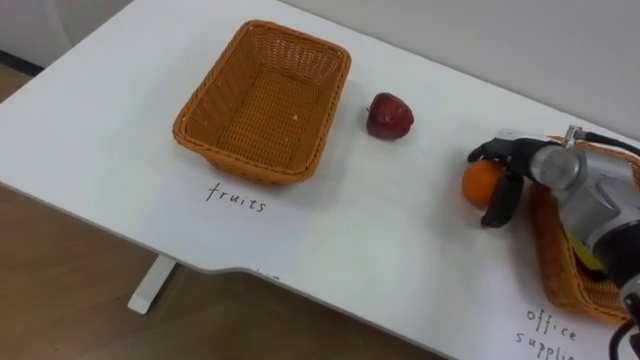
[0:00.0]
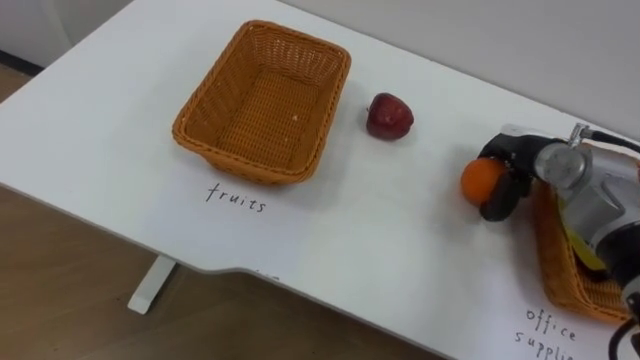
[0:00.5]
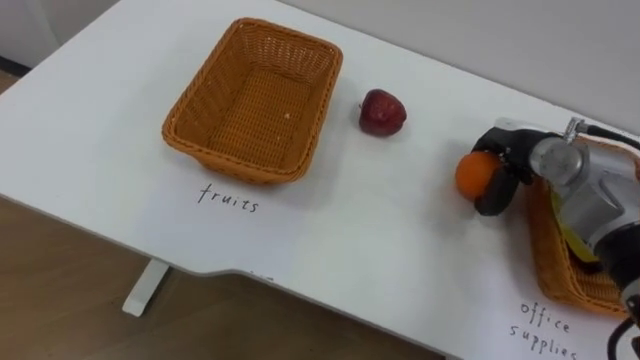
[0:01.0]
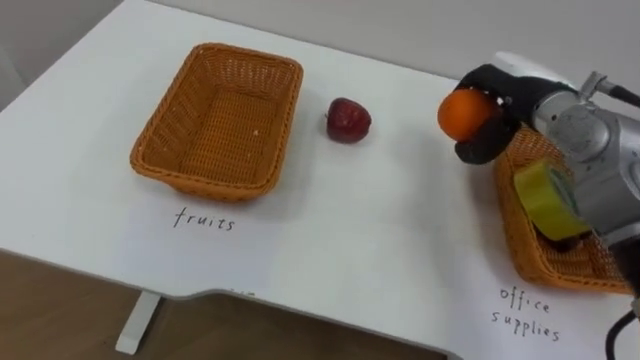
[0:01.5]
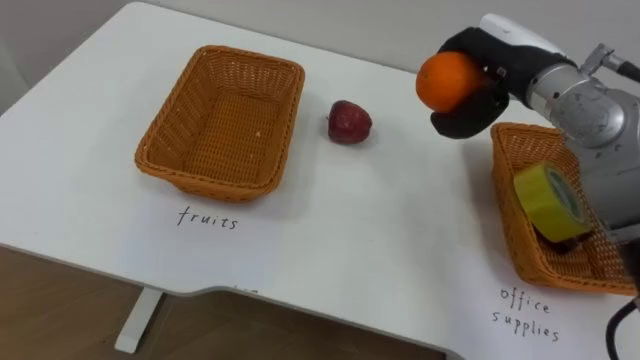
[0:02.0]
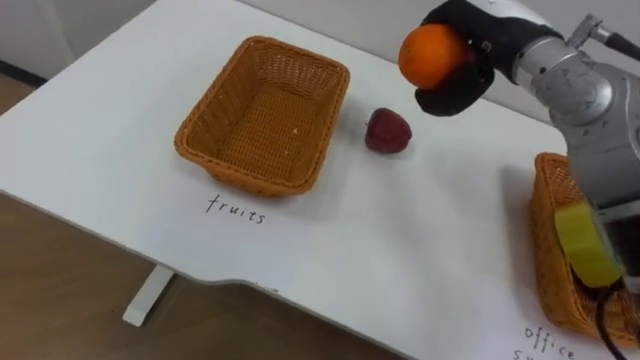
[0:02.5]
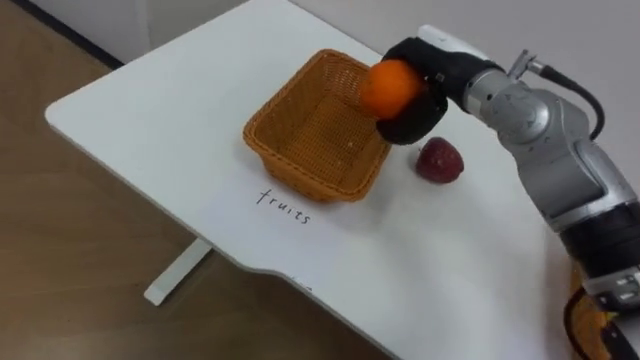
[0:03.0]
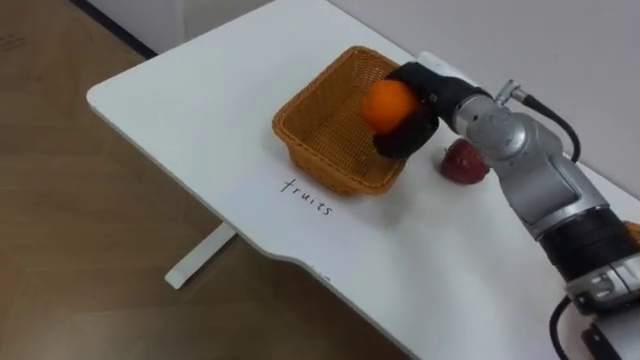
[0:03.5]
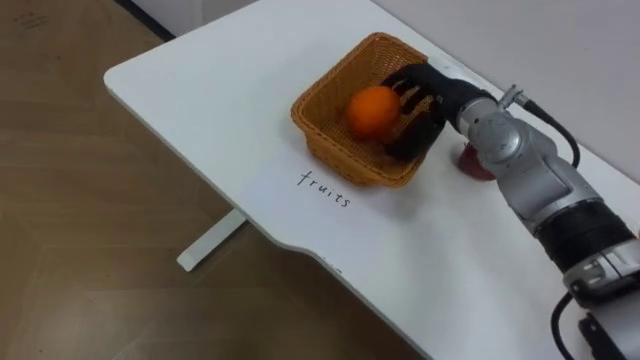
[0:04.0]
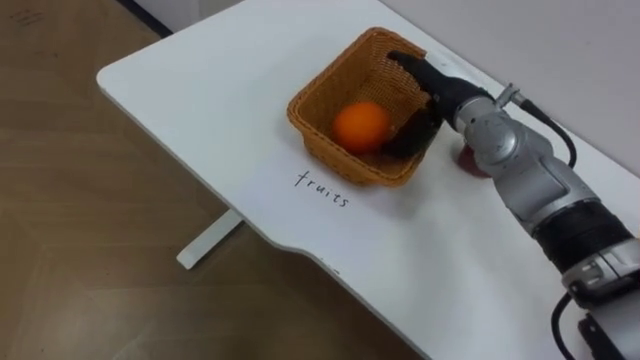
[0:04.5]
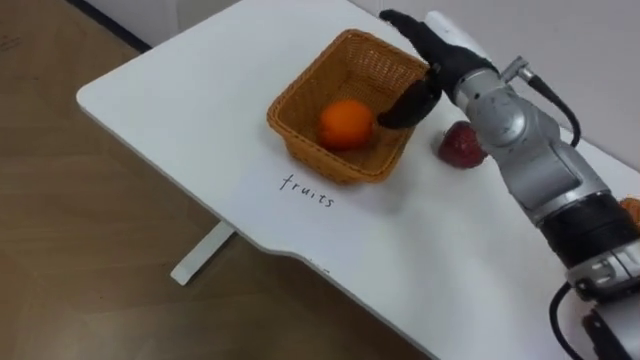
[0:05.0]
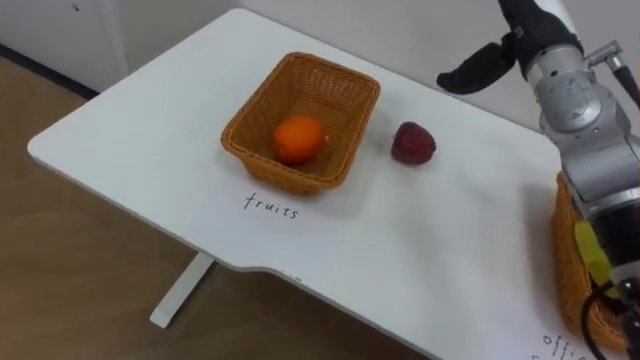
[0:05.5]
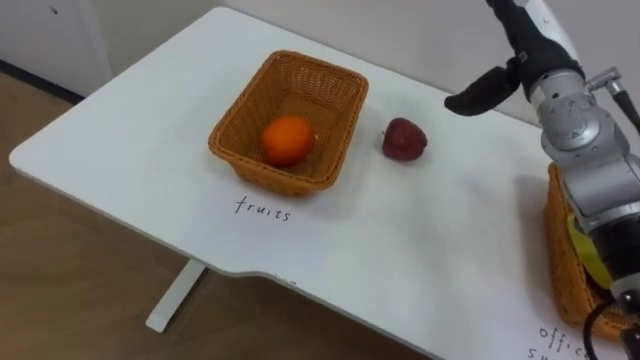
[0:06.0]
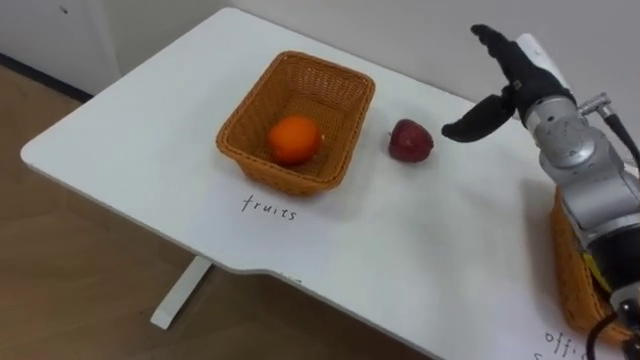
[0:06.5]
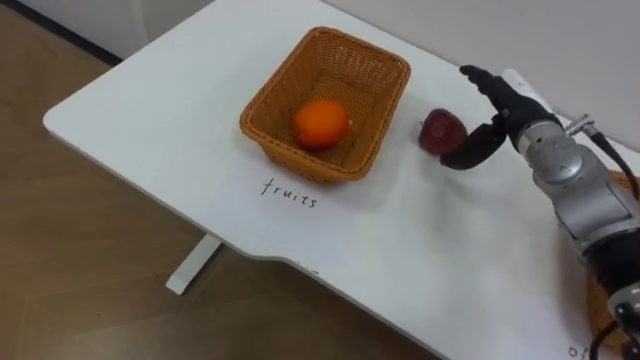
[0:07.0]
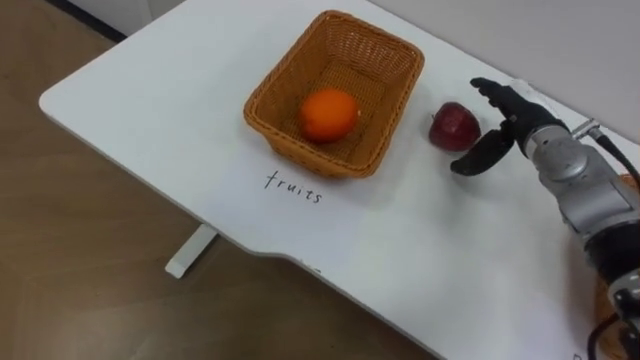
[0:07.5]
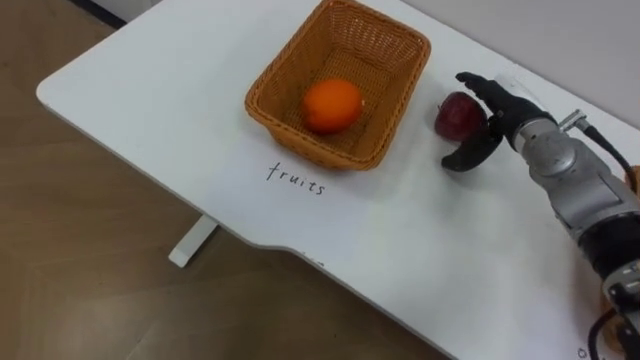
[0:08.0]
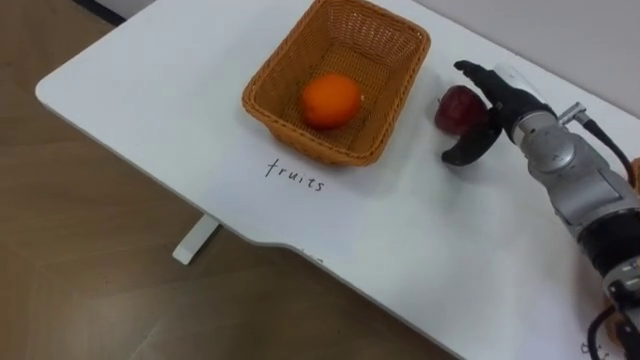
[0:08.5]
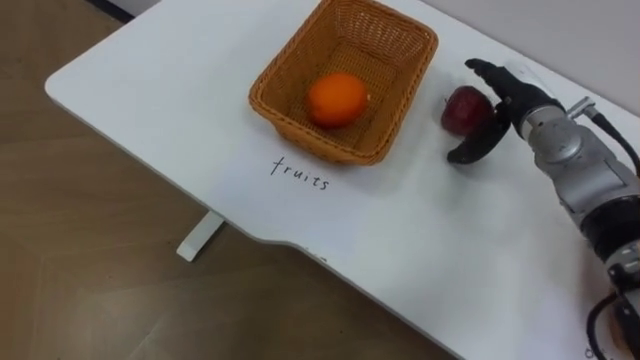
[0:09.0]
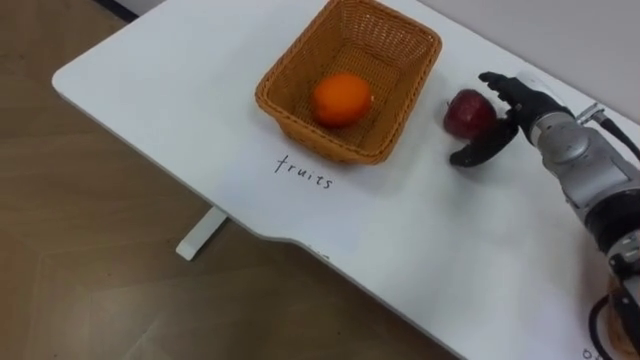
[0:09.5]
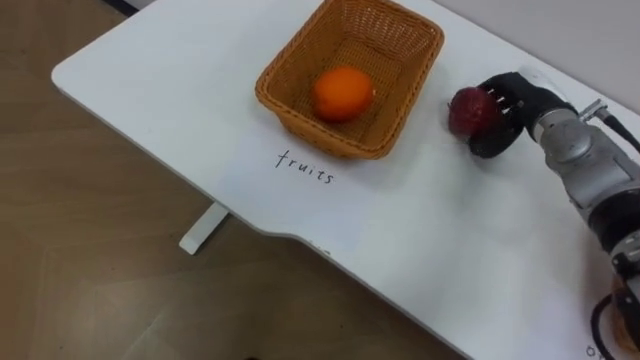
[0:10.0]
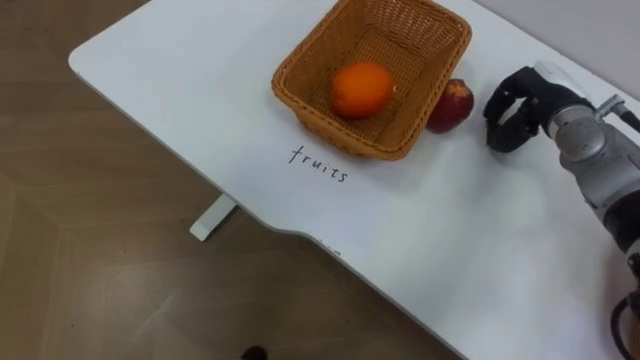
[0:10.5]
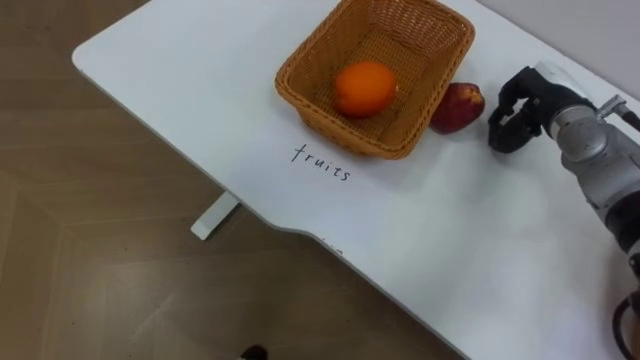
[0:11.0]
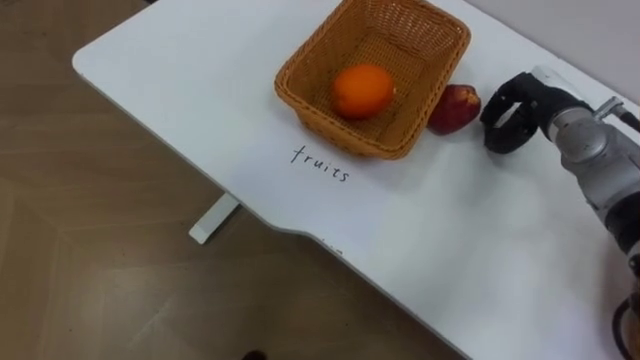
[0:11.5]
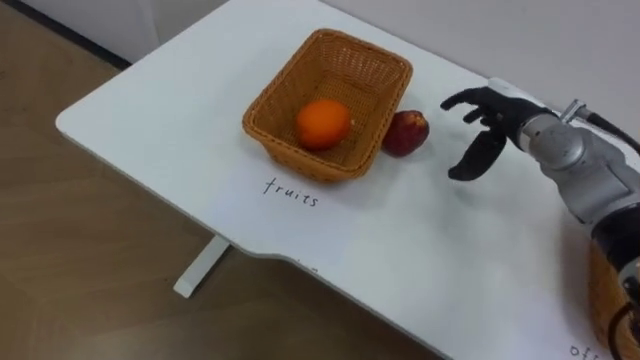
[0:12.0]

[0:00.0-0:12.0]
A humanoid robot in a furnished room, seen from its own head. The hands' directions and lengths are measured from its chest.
Task of the whole recording: Separate the items on the table and place them into the two baskets.
0:00.0 to 0:02.0: The right hand travels upward and to the left by roughly 15 cm, and closes.
0:02.0 to 0:04.0: The right hand travels downward by about 5 cm.
0:04.0 to 0:06.0: The right hand is displaced to the right and upward by approximately 10 cm, and opens its fingers.
0:06.0 to 0:08.0: The right hand is displaced downward by about 10 cm.
0:08.0 to 0:10.0: The right hand closes up.
0:10.0 to 0:12.0: The right hand closes, then opens again.

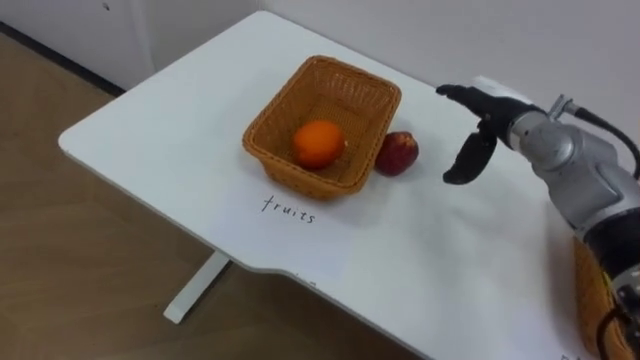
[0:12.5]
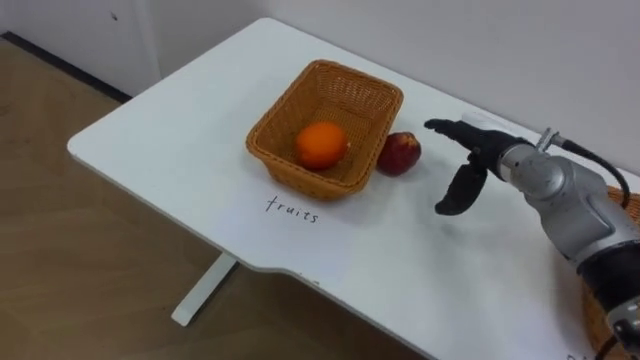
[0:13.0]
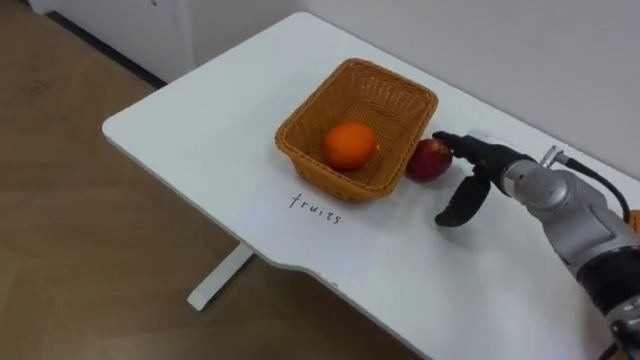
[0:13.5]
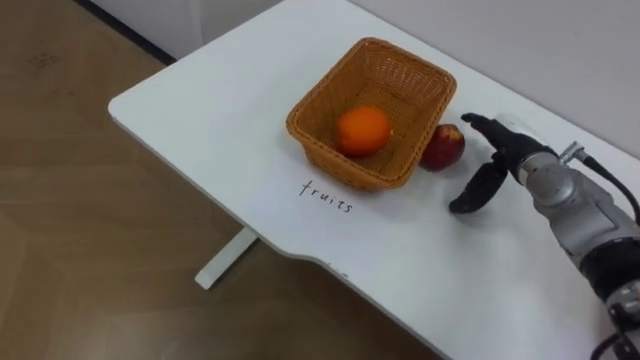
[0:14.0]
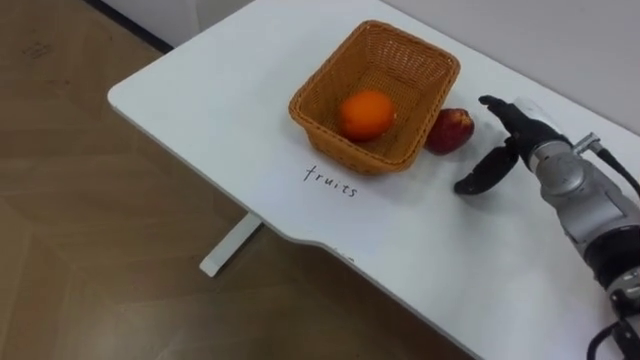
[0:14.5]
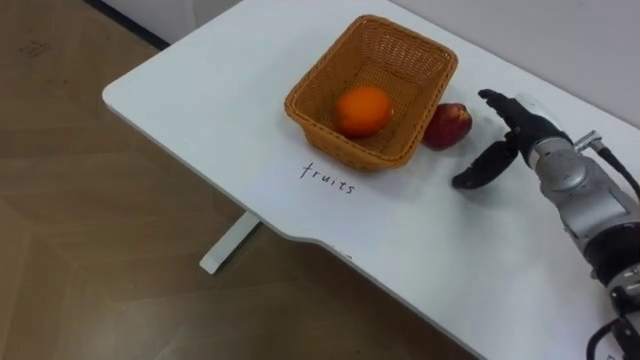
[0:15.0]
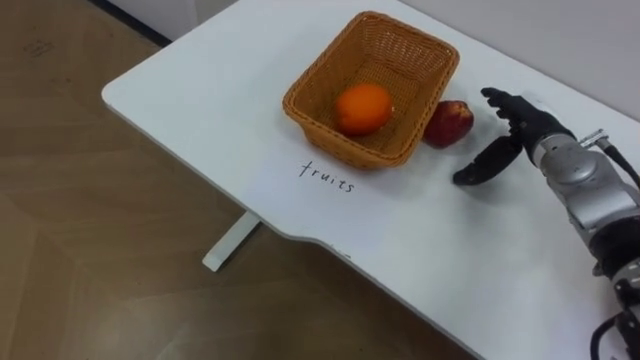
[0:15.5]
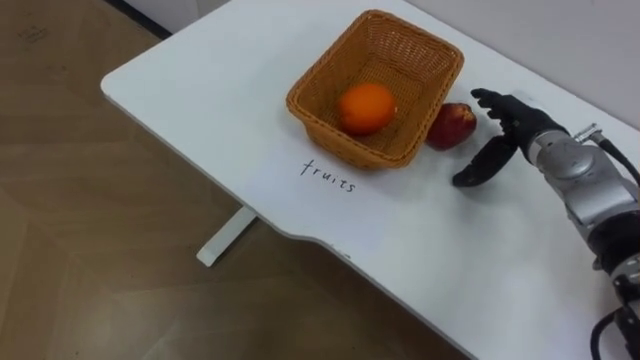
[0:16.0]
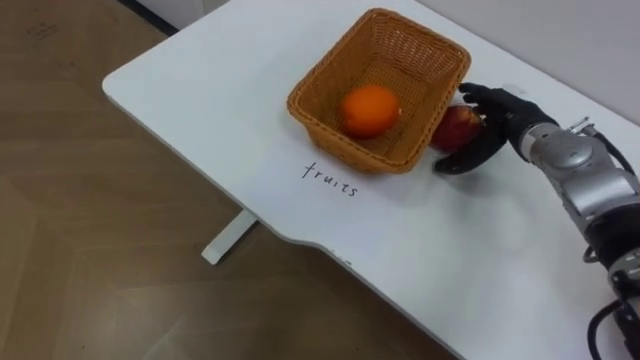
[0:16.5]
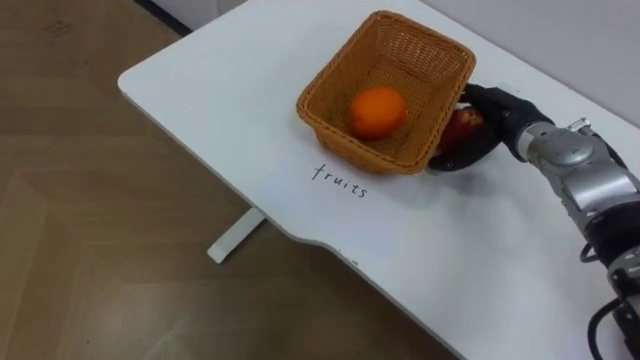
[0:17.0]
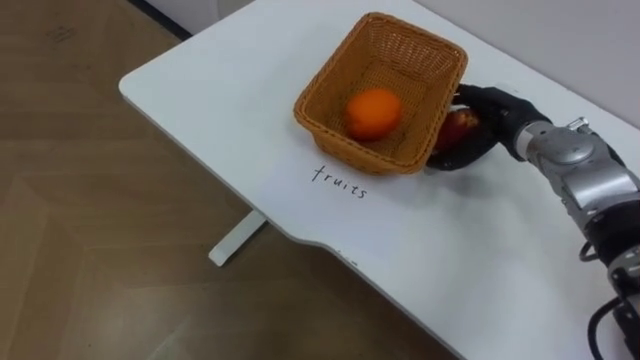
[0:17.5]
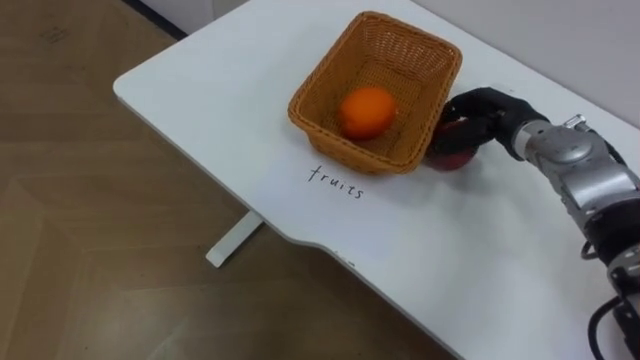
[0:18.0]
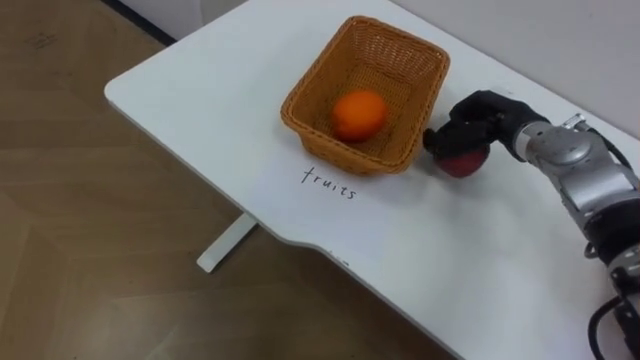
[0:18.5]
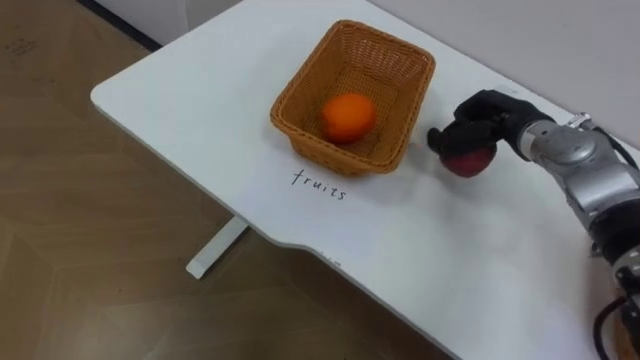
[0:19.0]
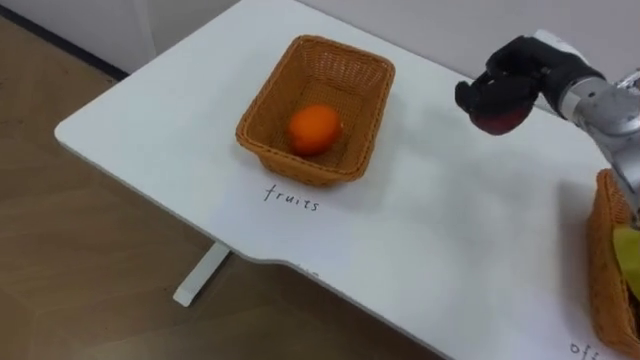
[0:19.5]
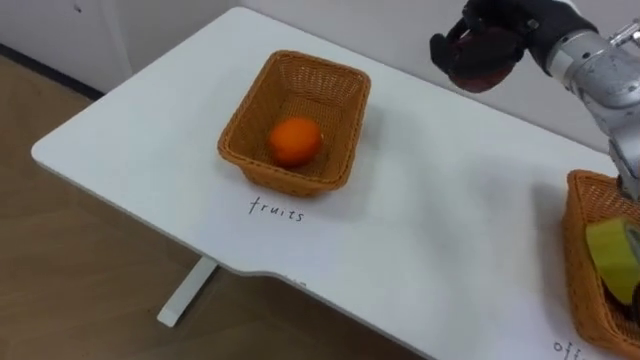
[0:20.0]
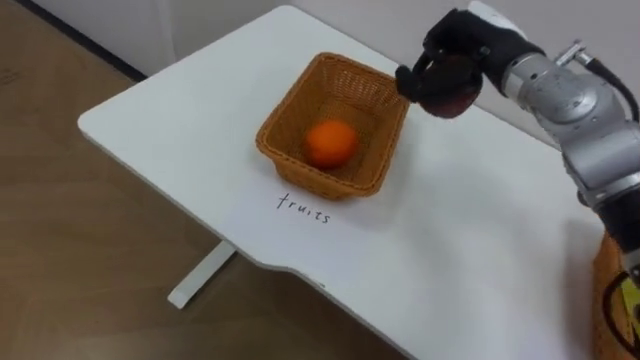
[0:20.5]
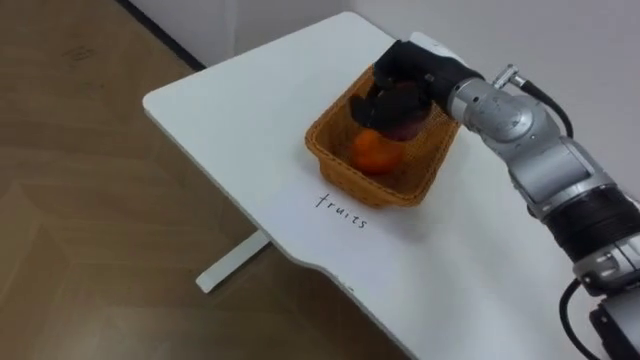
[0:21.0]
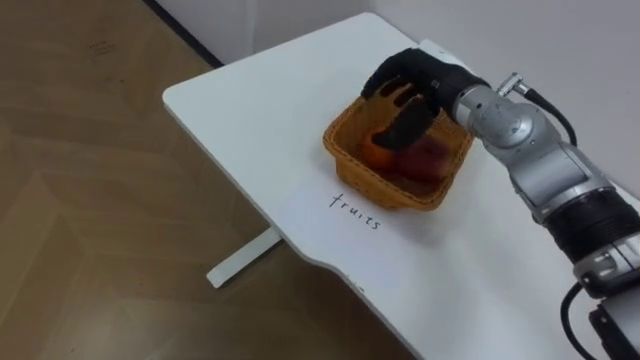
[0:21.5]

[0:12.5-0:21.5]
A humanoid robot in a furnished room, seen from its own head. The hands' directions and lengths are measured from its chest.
Task of the whole recording: Separate the items on the table and place them into the two baskets.
0:12.5 to 0:14.5: The right hand moves approximately 5 cm.
0:17.0 to 0:19.5: The right hand travels upward by approximately 5 cm, and closes its fingers.
0:19.5 to 0:21.5: The right hand shifts some 15 cm to the left, and opens.
